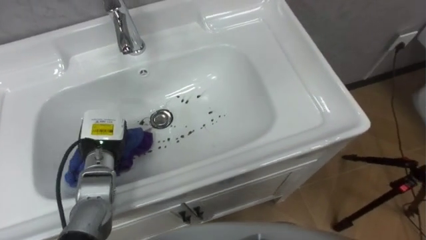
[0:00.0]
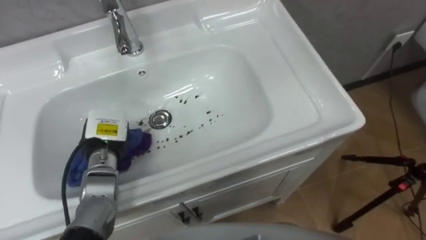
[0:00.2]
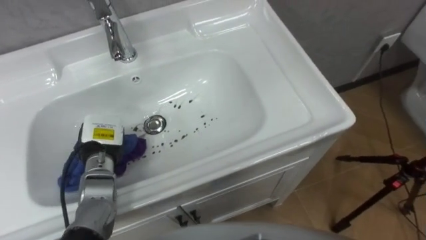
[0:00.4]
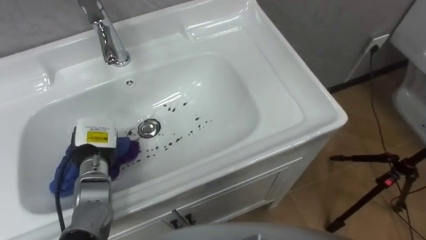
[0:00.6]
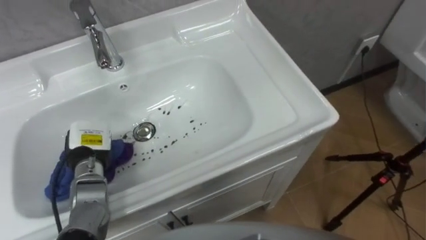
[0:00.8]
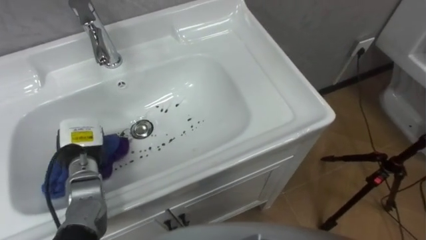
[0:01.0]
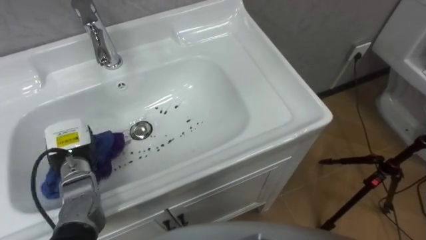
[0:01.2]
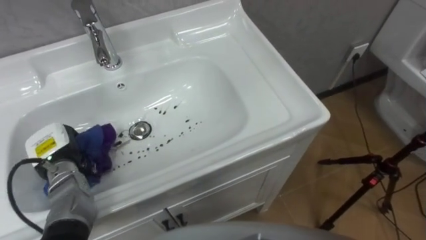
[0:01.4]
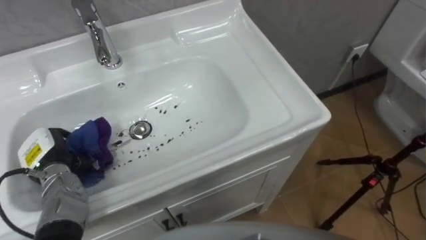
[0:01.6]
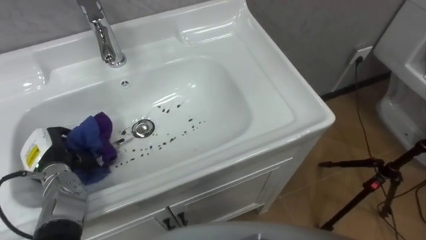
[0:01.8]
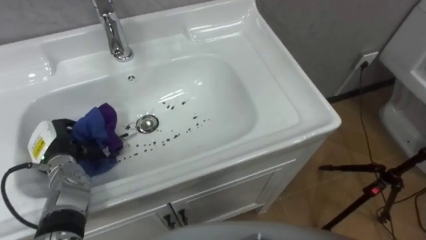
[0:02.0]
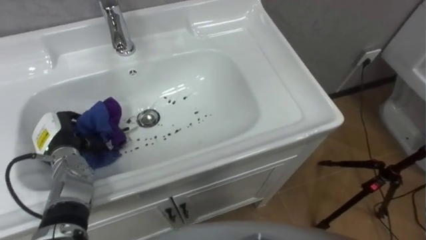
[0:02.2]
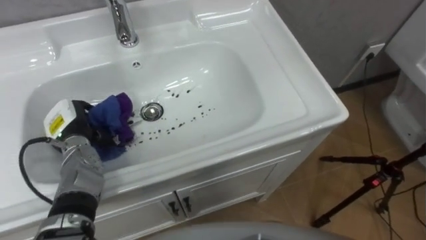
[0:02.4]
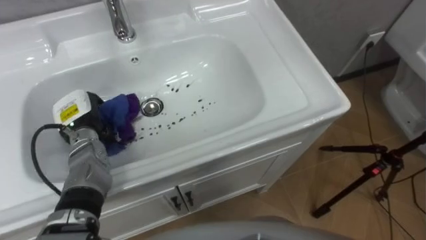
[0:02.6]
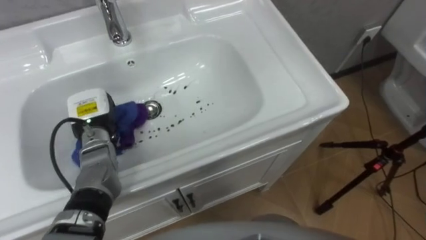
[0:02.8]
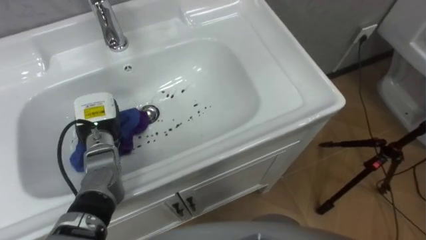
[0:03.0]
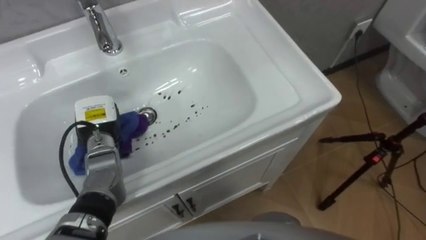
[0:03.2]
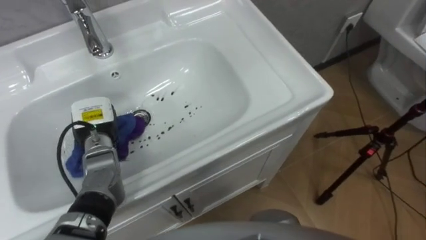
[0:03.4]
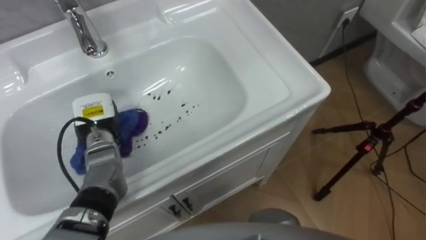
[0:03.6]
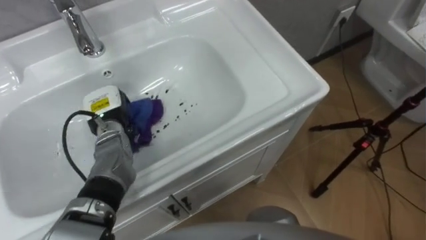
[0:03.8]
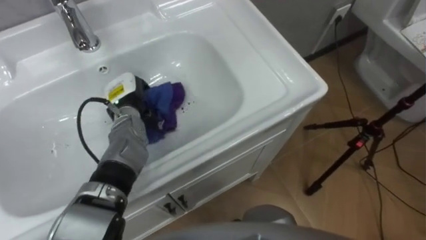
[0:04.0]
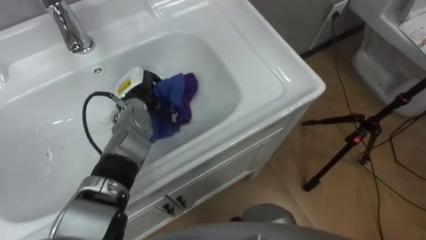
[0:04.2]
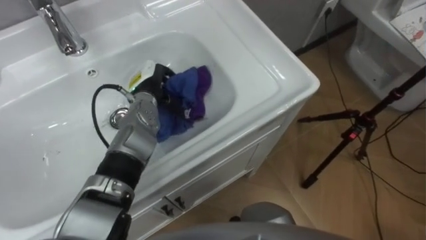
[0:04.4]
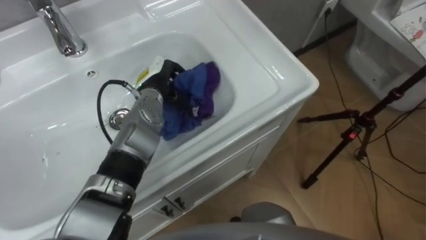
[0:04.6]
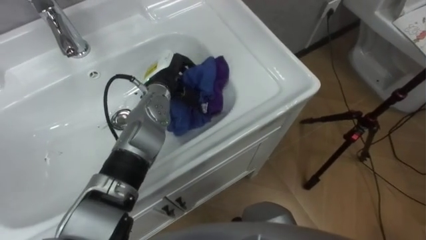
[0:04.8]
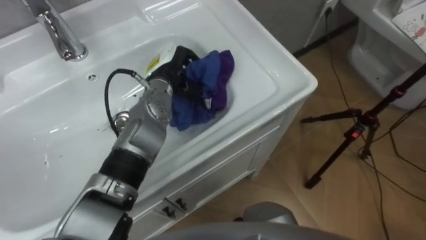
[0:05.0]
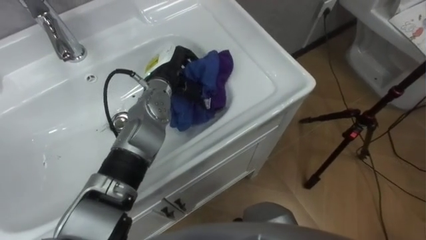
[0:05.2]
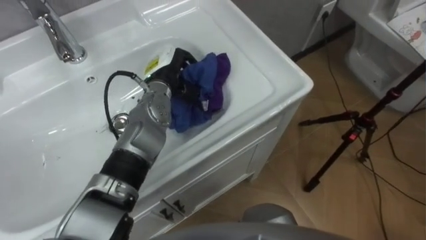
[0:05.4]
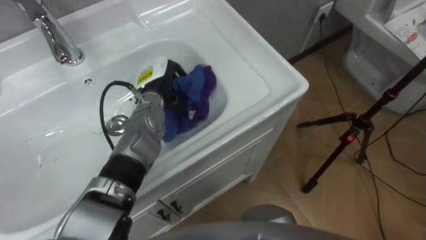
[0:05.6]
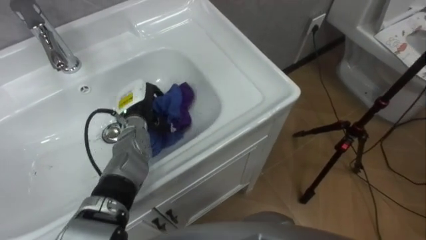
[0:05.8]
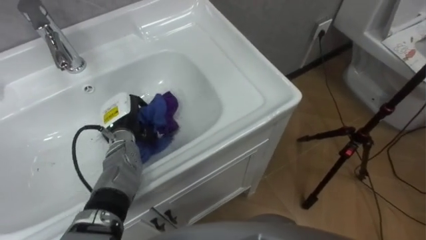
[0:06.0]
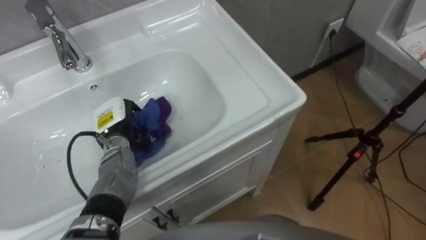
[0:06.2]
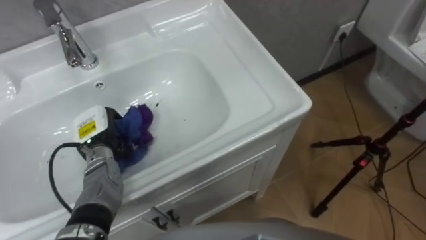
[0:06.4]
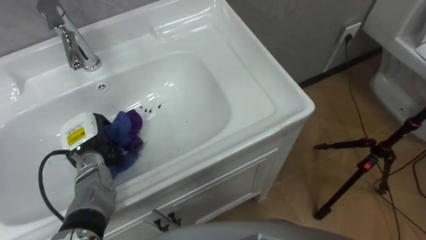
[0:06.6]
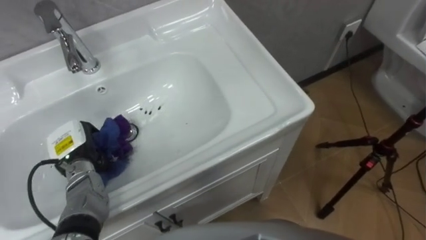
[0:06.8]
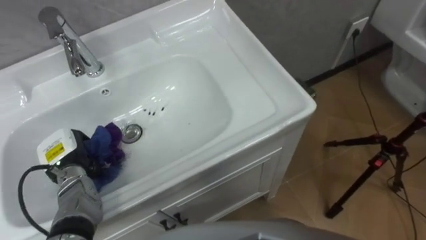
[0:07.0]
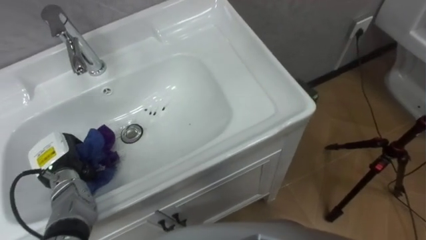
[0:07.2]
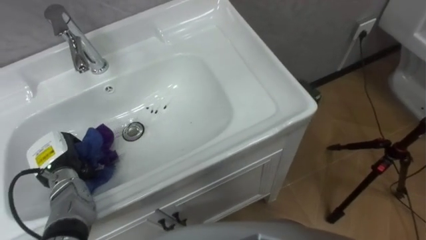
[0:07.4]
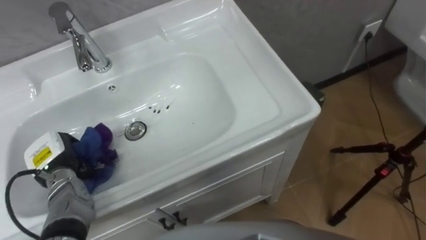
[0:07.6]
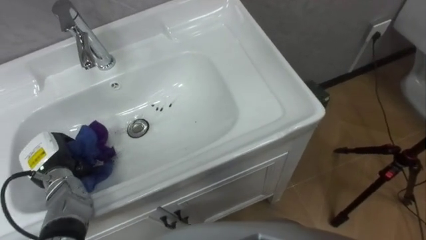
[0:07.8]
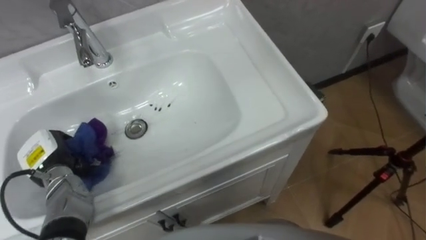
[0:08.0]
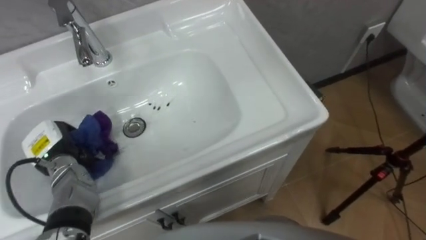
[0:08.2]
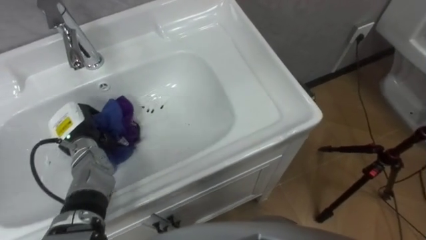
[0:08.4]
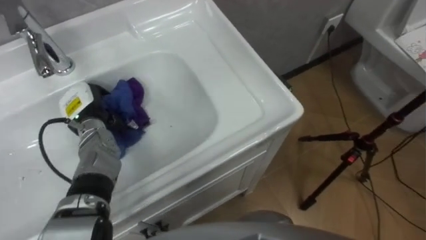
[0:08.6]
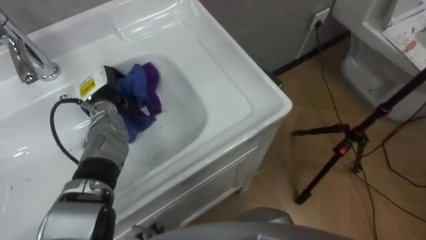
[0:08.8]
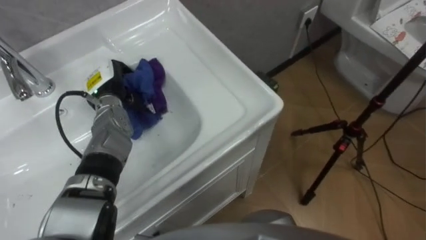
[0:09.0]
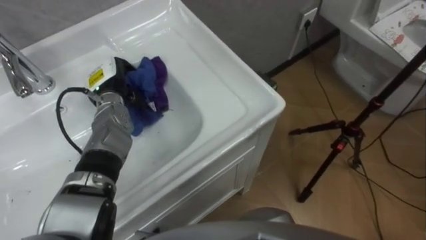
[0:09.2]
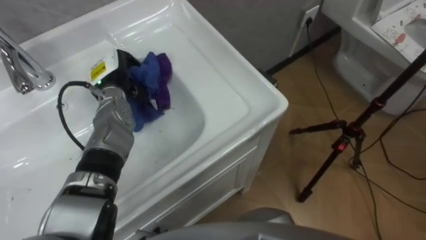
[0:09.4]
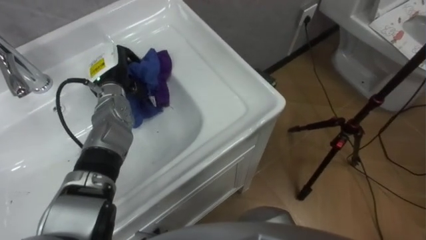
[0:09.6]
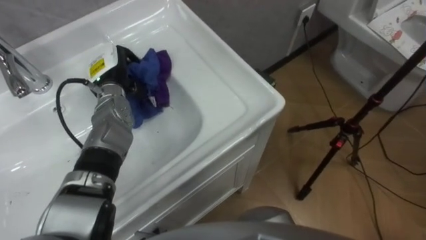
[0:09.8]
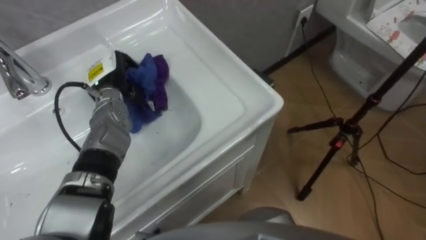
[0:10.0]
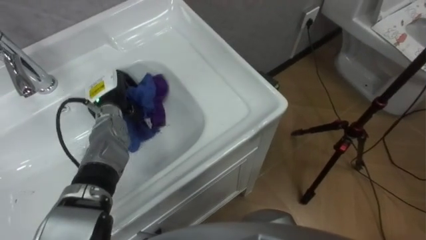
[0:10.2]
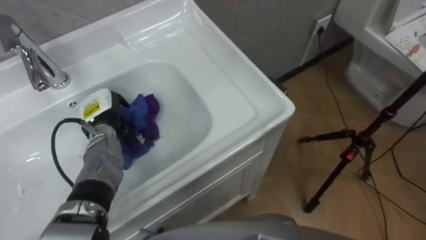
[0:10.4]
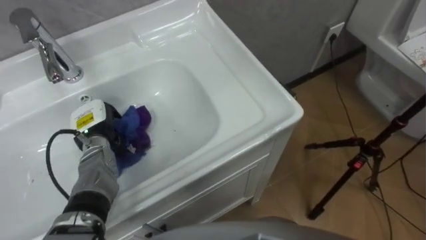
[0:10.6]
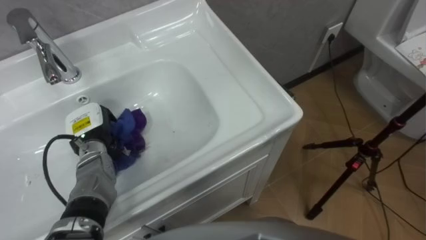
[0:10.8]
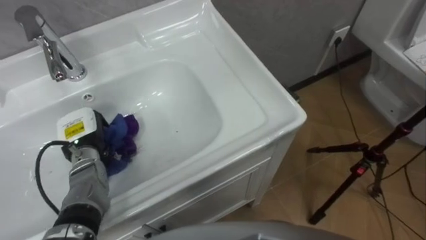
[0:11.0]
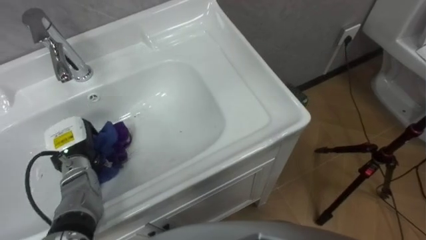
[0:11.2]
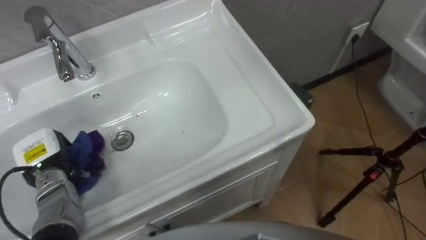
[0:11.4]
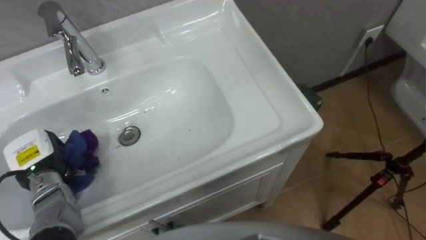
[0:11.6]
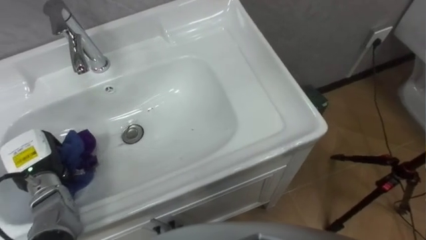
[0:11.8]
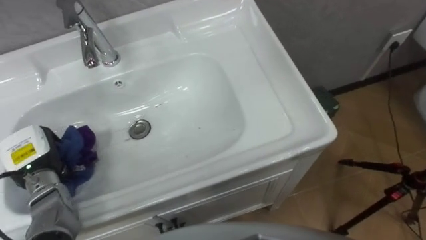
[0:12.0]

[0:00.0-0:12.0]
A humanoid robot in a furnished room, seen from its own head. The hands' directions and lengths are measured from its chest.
Task of the whole recording: Use the cloth on the right to wipe away the black stain in the sink.
0:00.0 to 0:01.6: The left hand travels to the left by roughly 10 cm.
0:01.6 to 0:03.0: The left hand heads to the right and forward, covering approximately 15 cm.
0:03.0 to 0:04.4: The left hand travels to the right and forward by about 10 cm.
0:04.4 to 0:06.0: The left hand shifts about 10 cm to the left and backward.
0:06.0 to 0:07.6: The left hand heads to the left and backward, covering about 15 cm.
0:07.6 to 0:09.0: The left hand moves forward, to the right and upward, some 20 cm.
0:09.0 to 0:10.4: The left hand changes place by approximately 5 cm.
0:10.4 to 0:12.0: The left hand is displaced to the left and backward by roughly 15 cm.

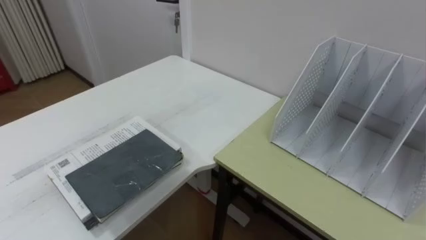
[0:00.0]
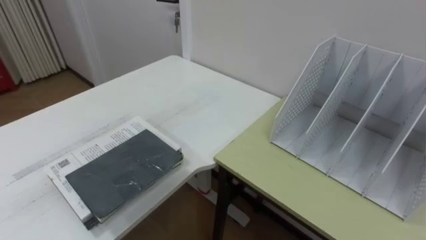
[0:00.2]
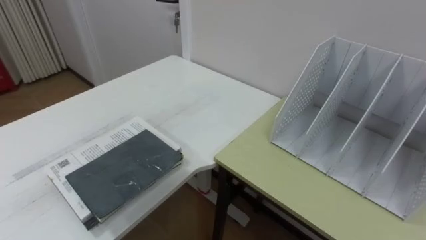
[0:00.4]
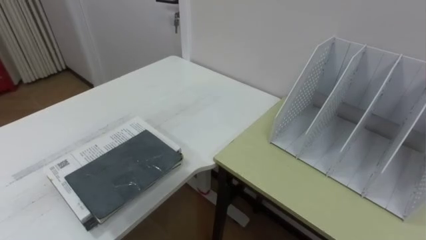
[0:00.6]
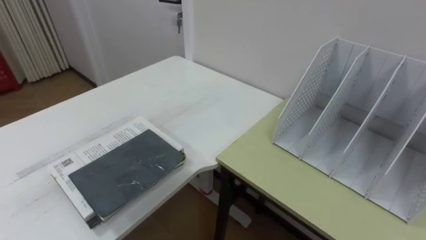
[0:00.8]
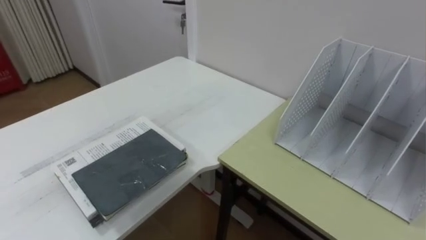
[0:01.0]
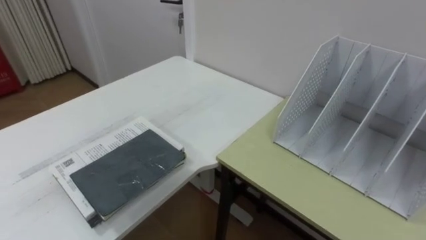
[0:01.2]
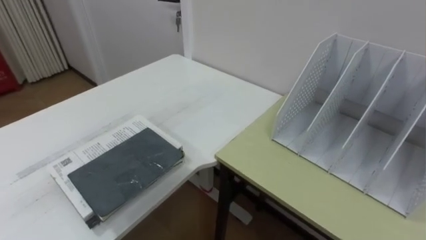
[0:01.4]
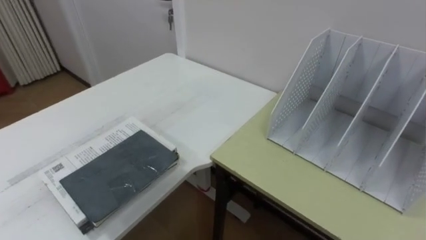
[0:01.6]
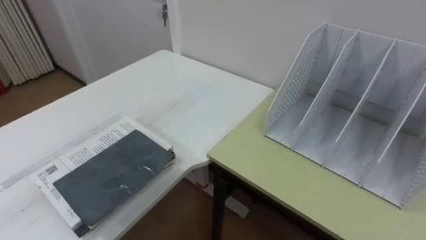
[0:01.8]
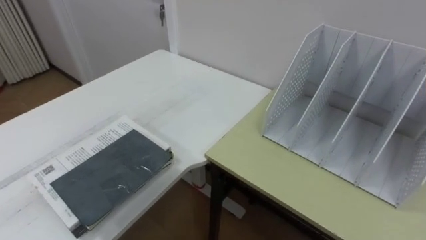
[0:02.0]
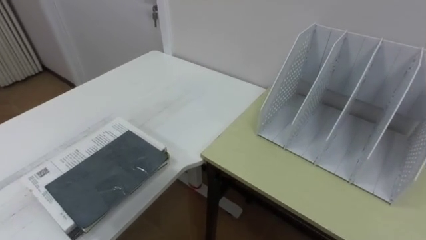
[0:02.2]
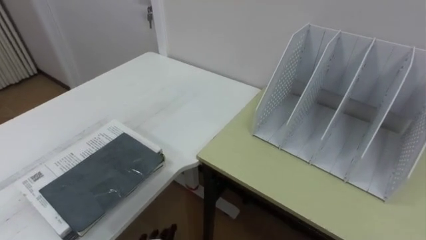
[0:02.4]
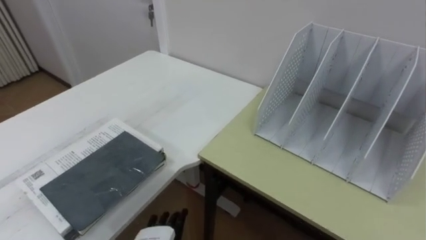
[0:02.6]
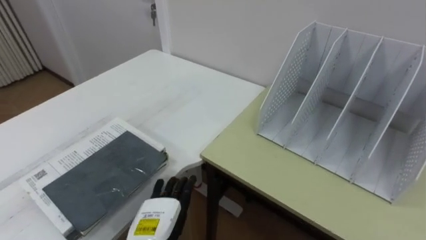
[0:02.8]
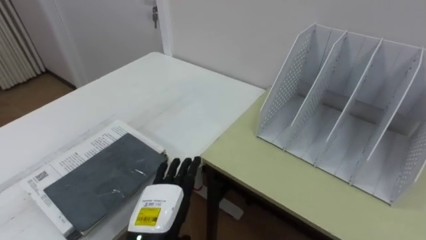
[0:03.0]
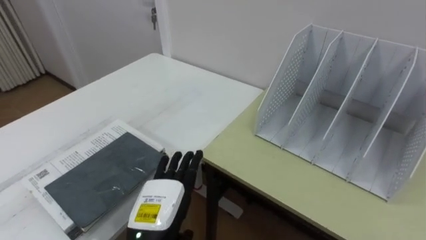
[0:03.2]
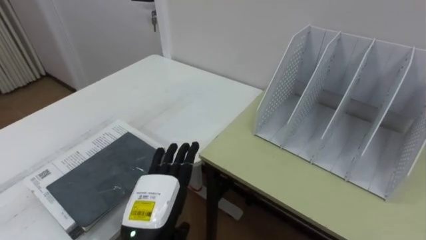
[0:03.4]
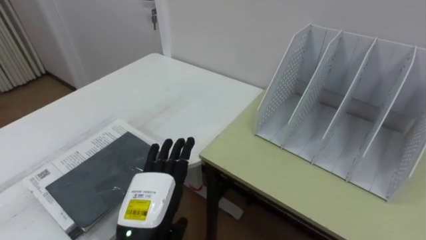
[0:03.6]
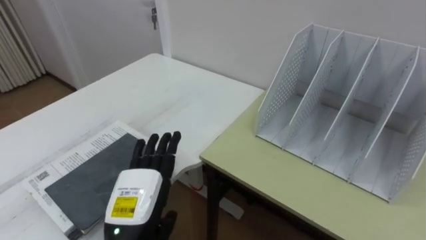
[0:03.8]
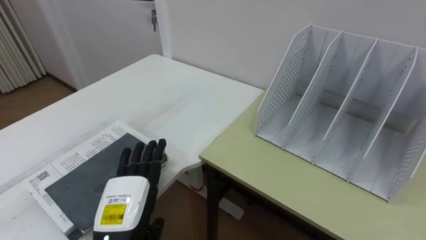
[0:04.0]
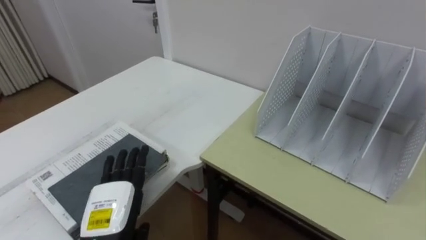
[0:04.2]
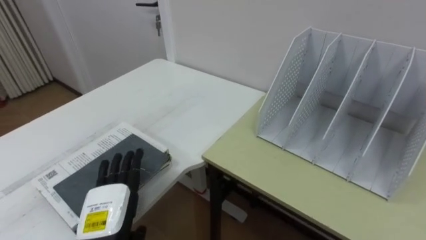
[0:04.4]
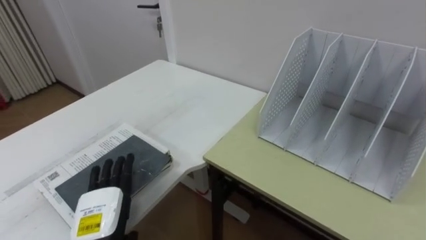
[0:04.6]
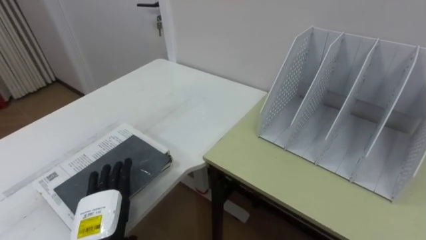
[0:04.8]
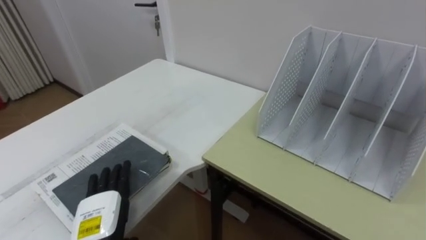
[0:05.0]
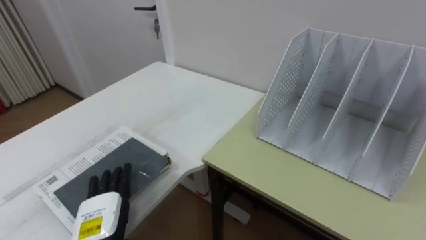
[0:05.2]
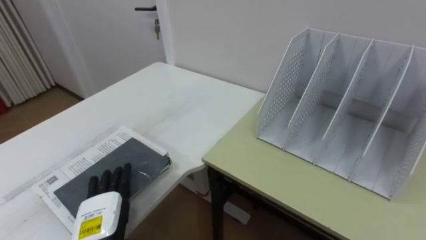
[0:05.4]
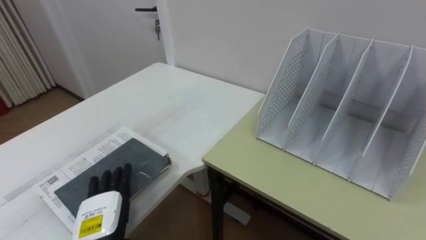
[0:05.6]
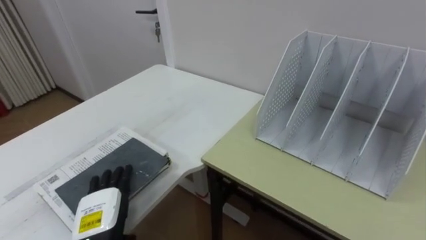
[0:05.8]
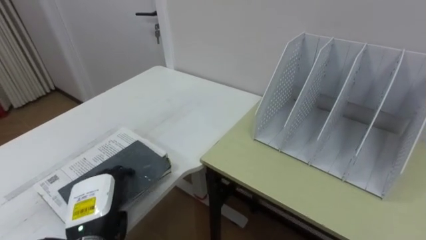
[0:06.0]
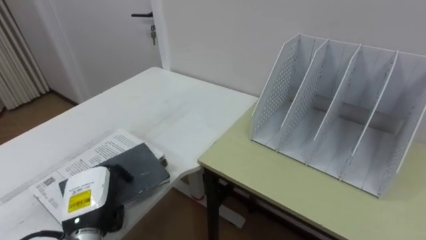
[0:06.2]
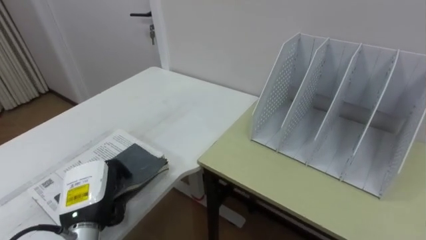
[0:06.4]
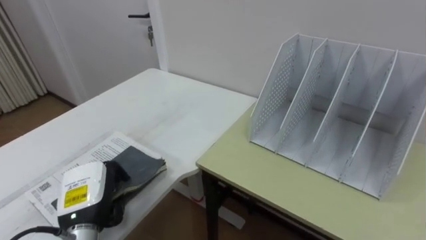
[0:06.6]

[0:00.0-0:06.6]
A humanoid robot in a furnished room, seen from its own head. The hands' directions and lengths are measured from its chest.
Task of the whole recording: Put the books on the table onto the bookshelf.
0:03.2 to 0:05.0: The left hand travels to the left by about 10 cm.
0:05.0 to 0:06.6: The left hand closes its fingers.
